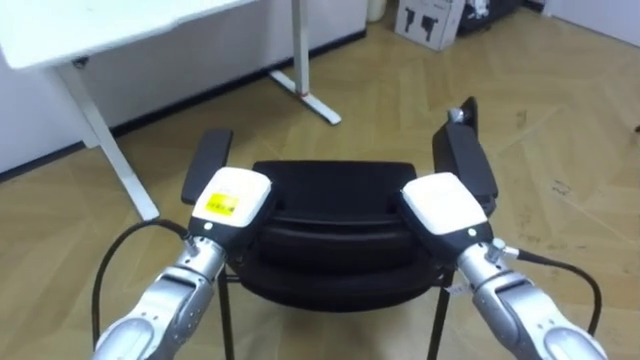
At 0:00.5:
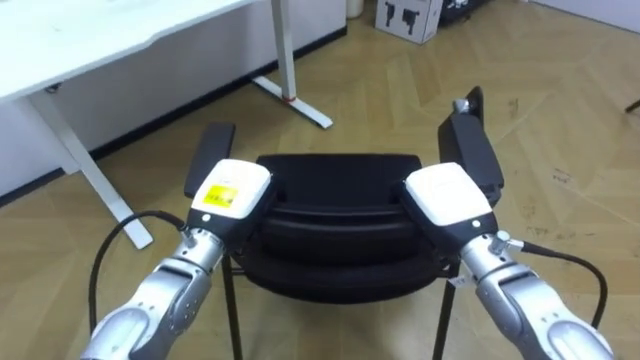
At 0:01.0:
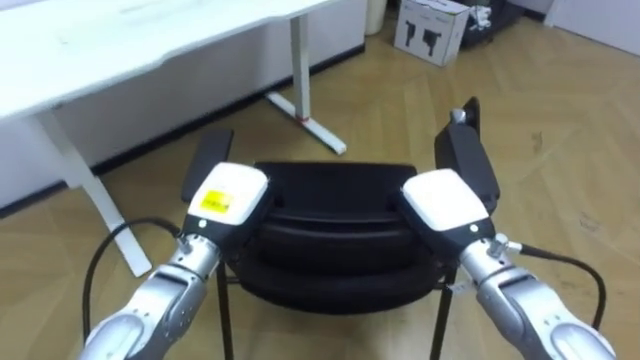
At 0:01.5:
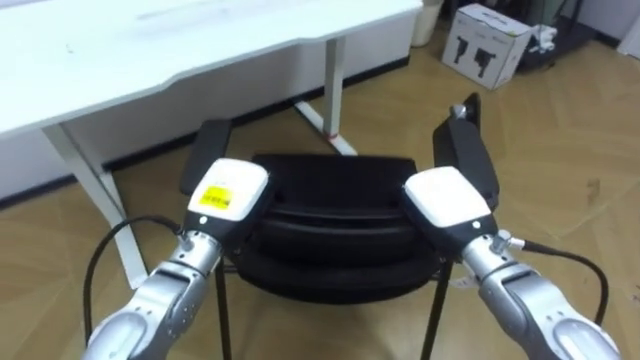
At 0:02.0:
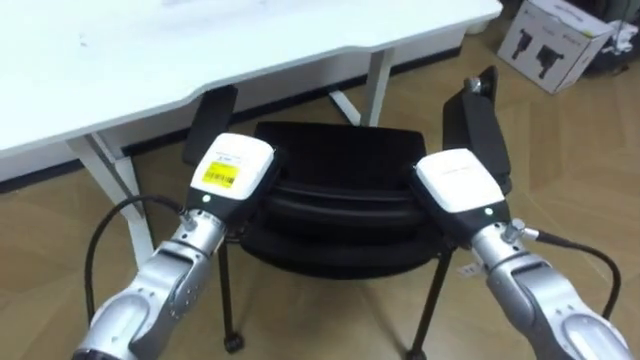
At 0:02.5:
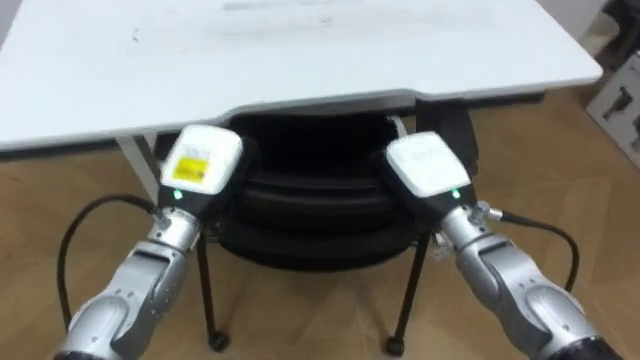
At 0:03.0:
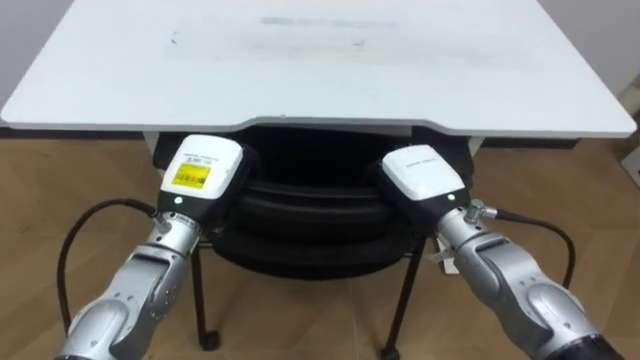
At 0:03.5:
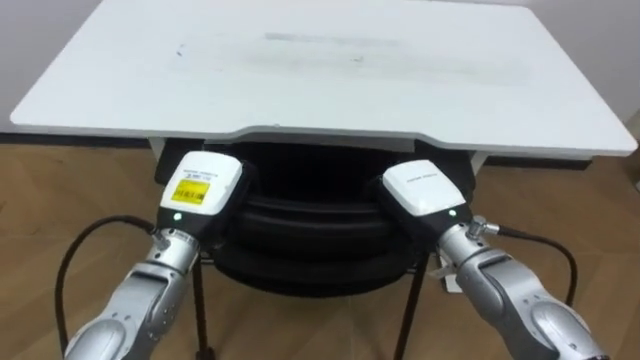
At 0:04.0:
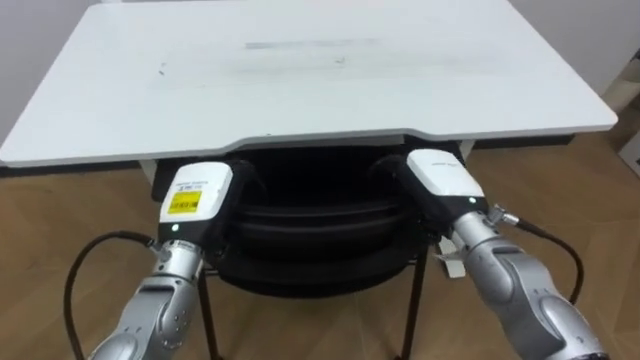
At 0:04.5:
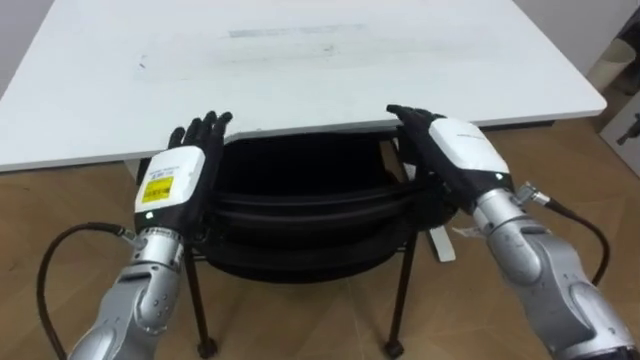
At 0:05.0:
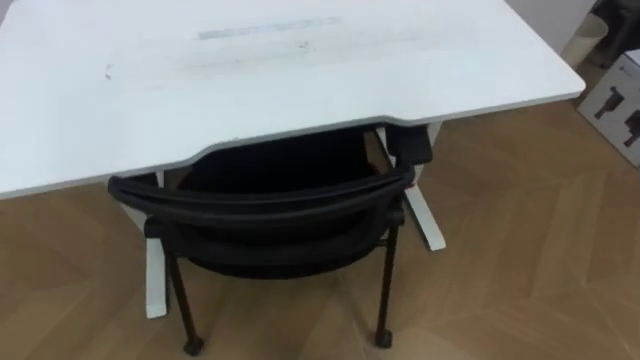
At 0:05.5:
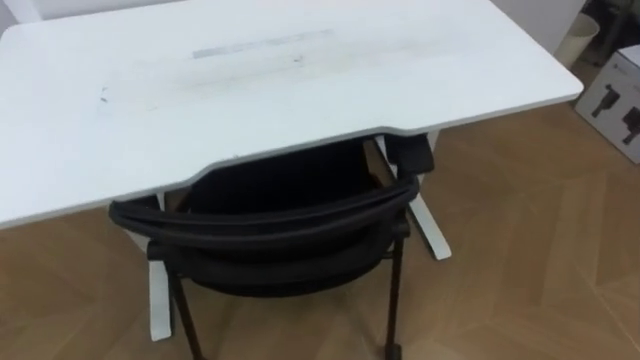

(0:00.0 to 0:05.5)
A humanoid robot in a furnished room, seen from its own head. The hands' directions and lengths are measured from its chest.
Task of the whole recording: Push the chair under the table.
0:00.0 - 0:02.0: The robot rotates roughly 15 degrees to its left.
0:02.0 - 0:03.5: The robot's body swings approximately 20 degrees to its left.
